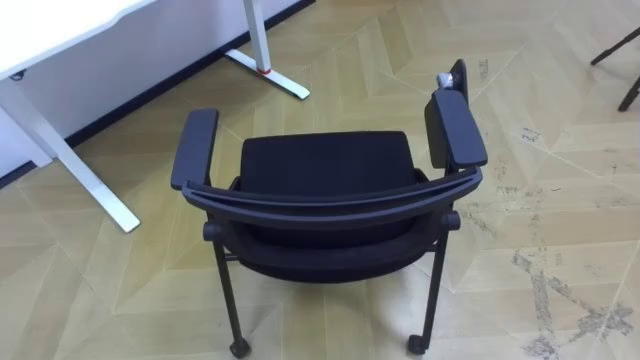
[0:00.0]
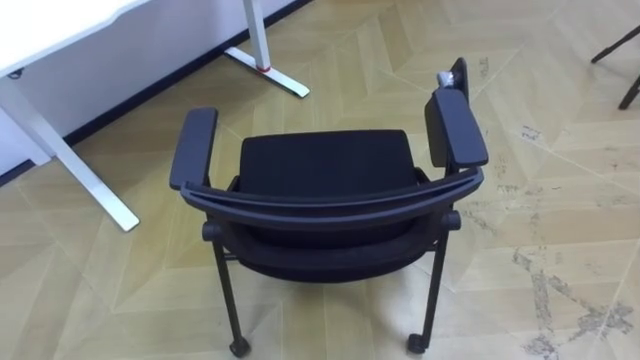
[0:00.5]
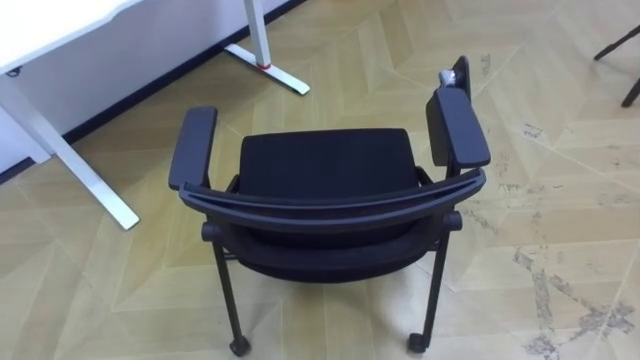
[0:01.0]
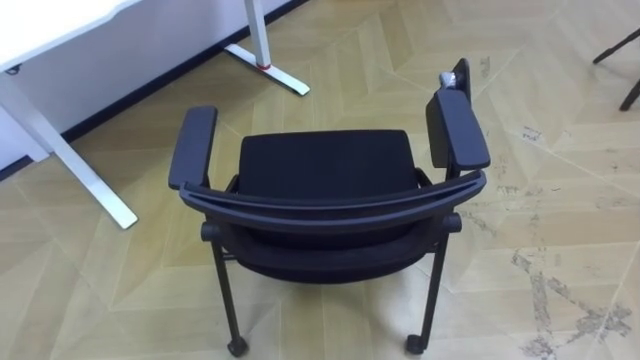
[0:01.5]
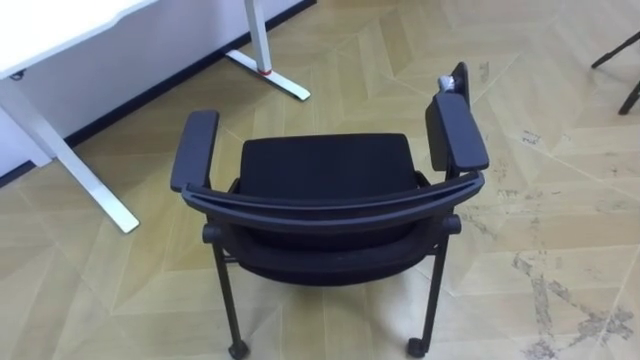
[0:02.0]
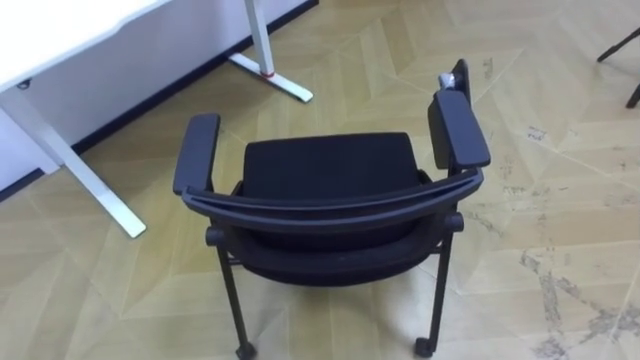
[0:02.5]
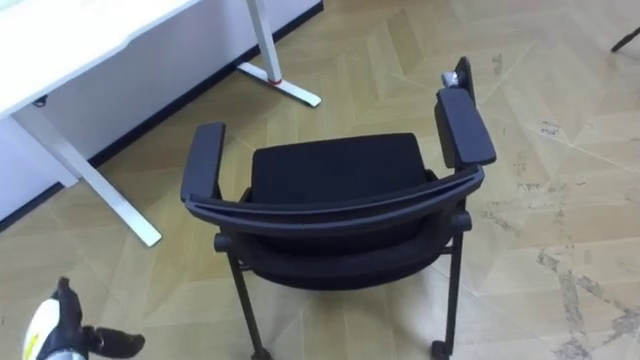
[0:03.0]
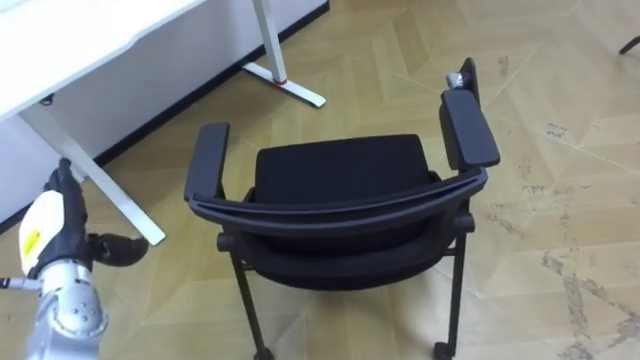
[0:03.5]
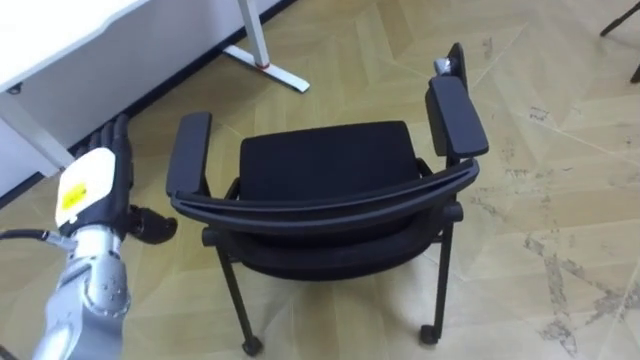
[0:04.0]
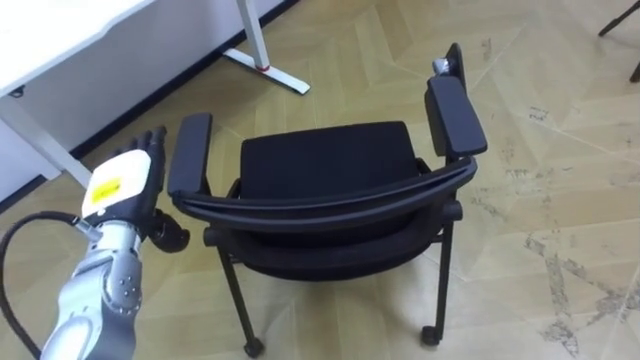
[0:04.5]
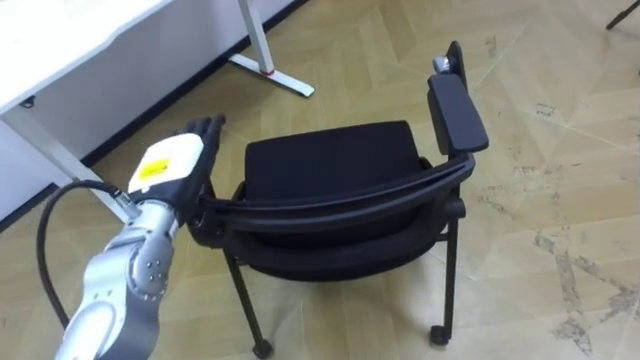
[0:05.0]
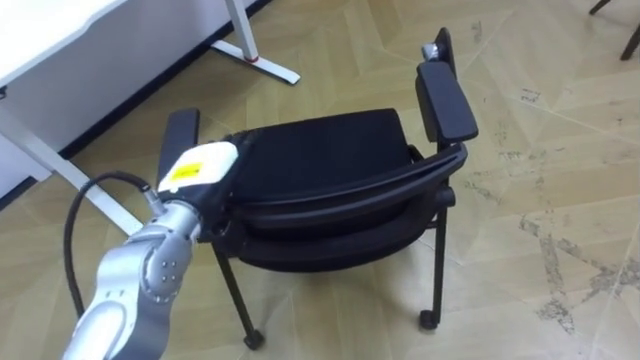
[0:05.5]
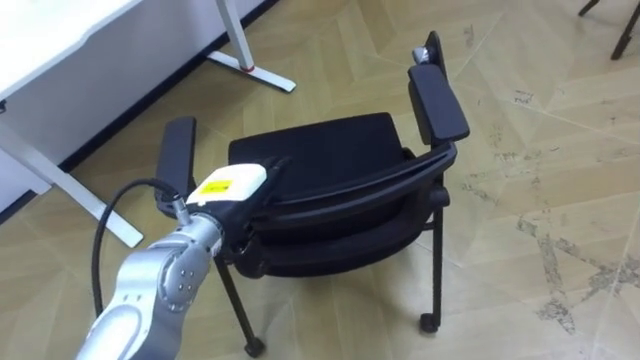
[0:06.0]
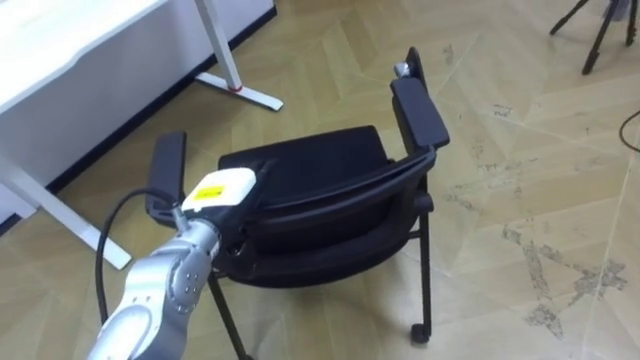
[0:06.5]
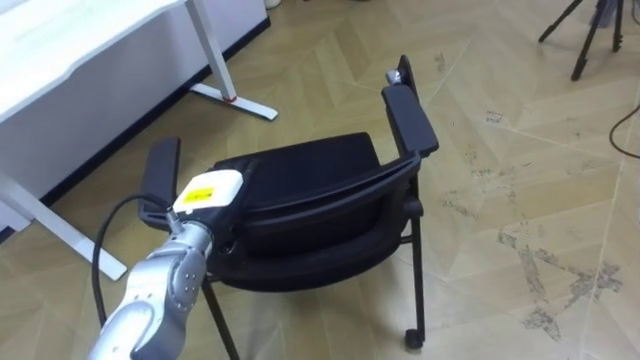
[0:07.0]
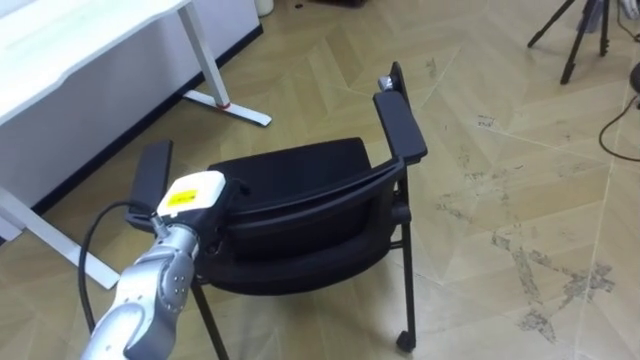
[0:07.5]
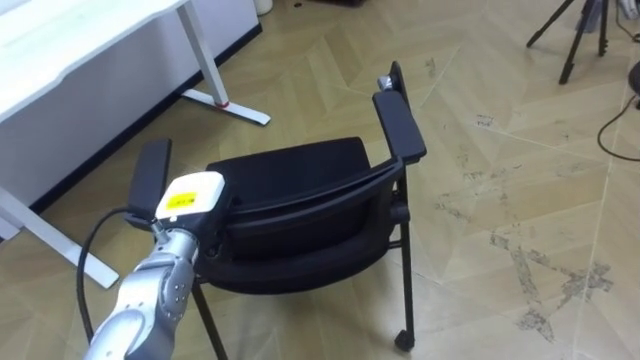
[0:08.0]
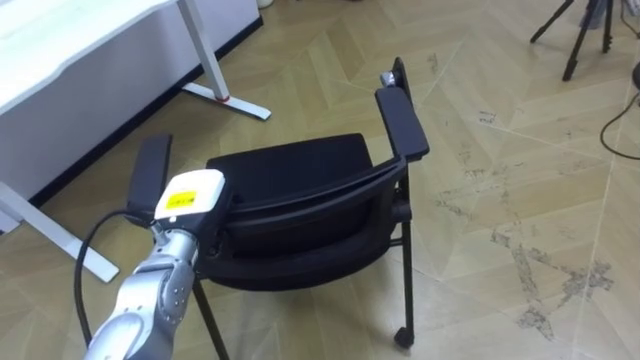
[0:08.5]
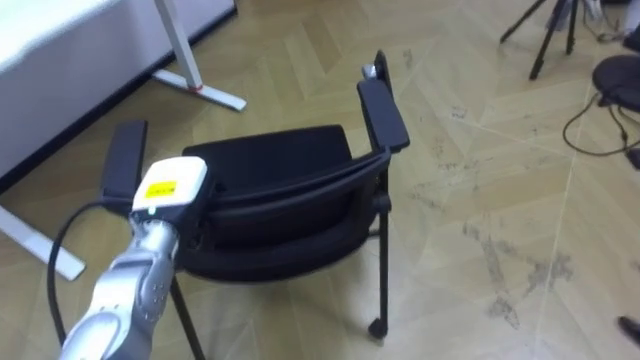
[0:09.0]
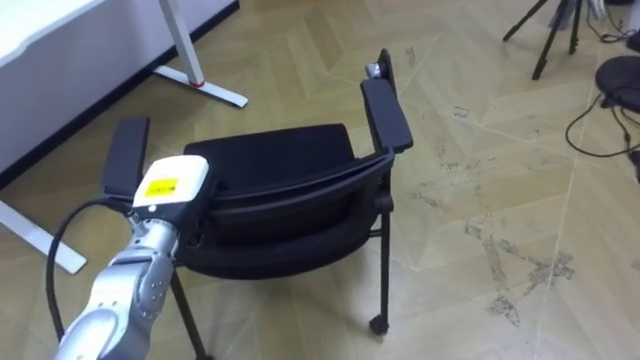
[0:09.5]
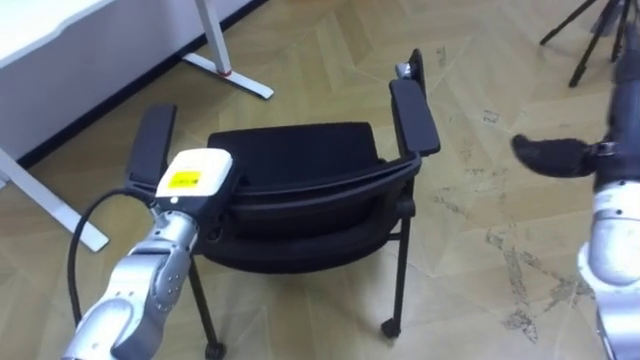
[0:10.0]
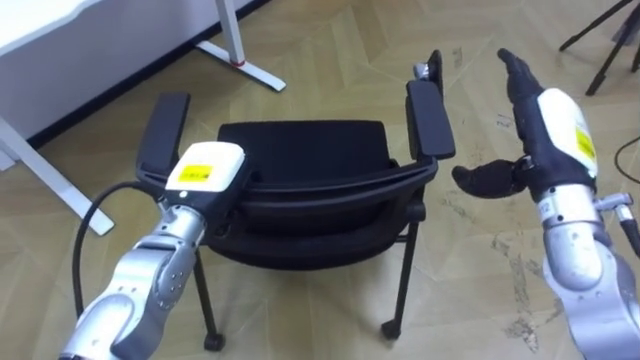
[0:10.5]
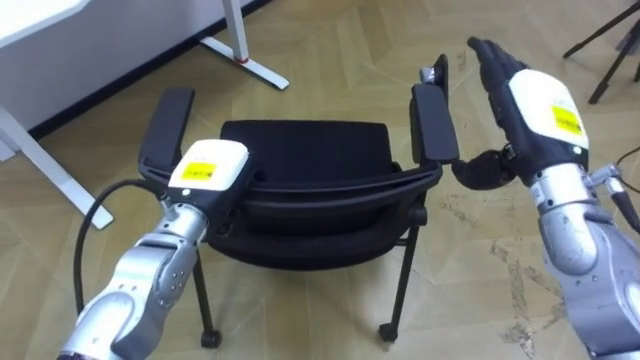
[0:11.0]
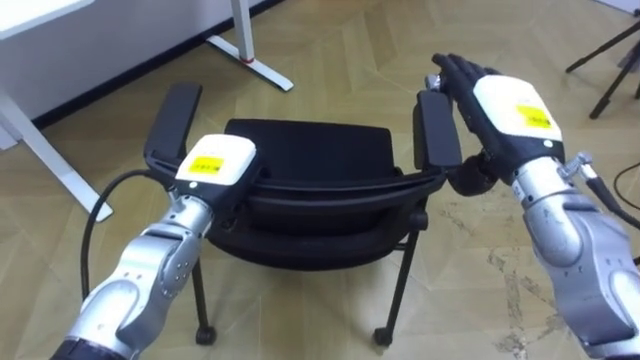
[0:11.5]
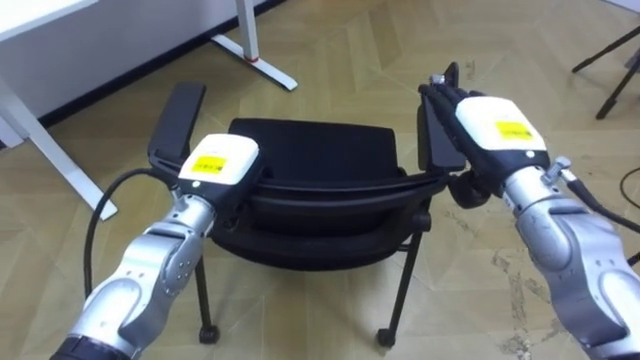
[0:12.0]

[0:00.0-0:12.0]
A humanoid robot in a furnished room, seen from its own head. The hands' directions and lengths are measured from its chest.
Task of the whole recording: Push the chair under the table.
0:04.0 to 0:06.0: The left hand heads to the right, covering roughly 15 cm.
0:06.0 to 0:08.0: The left hand goes approximately 10 cm to the left and downward, and closes its fingers.
0:10.0 to 0:12.0: The right hand is displaced to the left by some 10 cm.

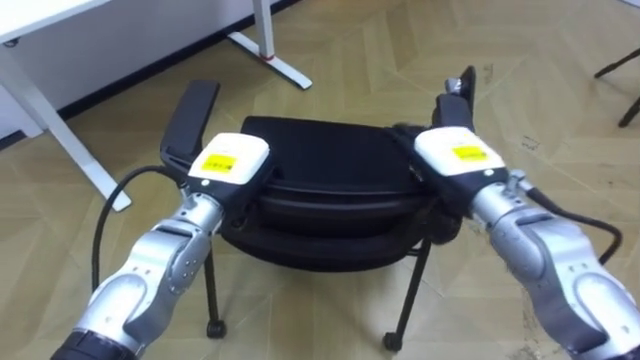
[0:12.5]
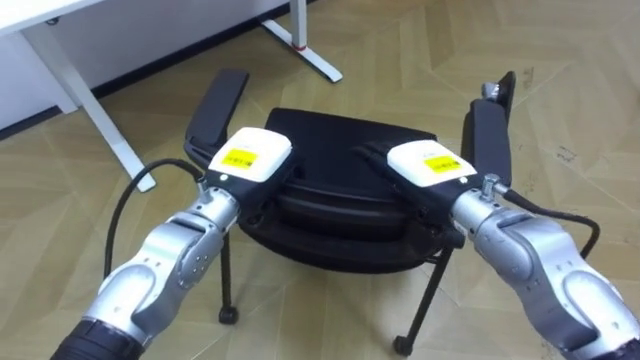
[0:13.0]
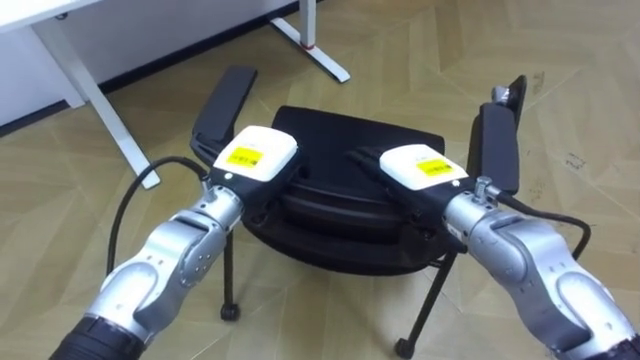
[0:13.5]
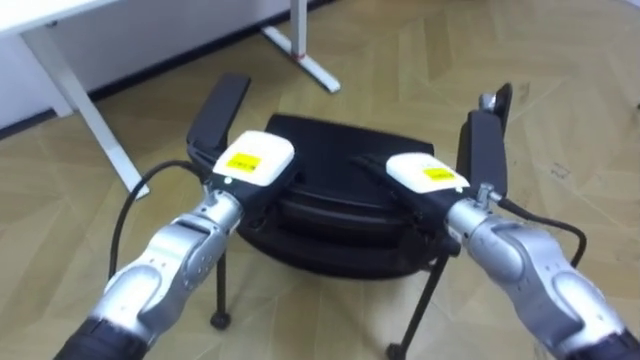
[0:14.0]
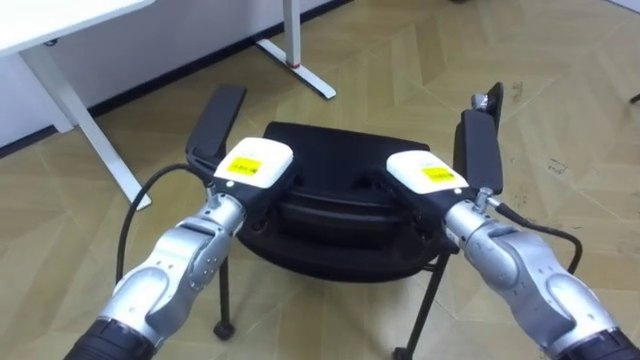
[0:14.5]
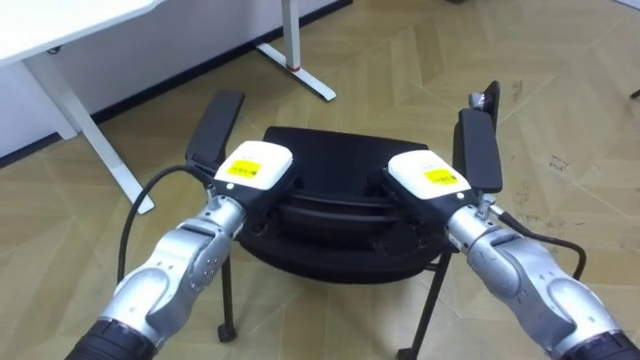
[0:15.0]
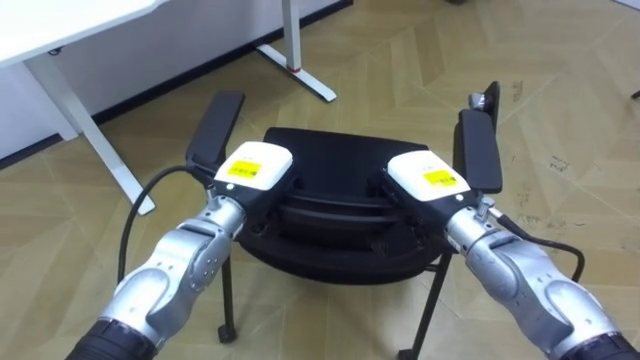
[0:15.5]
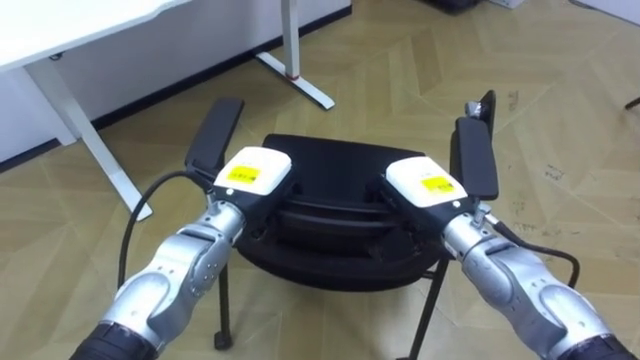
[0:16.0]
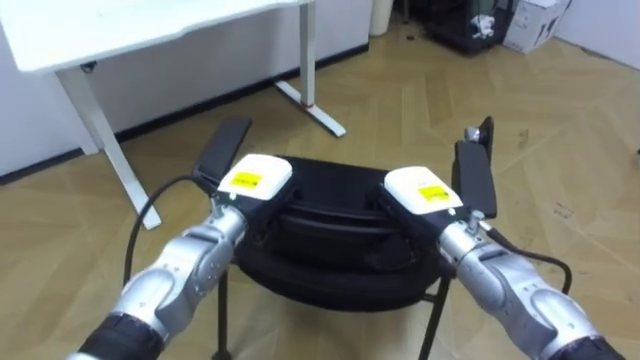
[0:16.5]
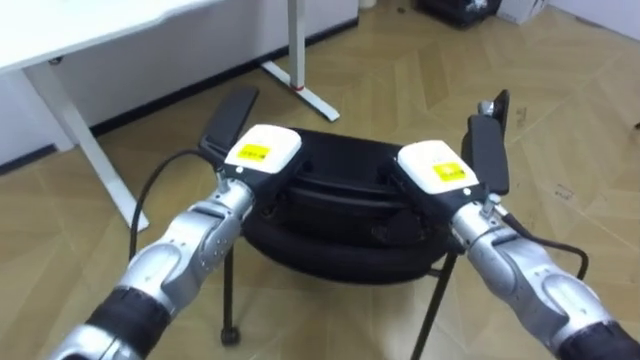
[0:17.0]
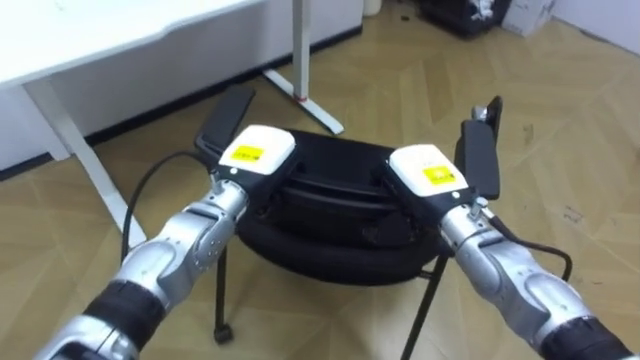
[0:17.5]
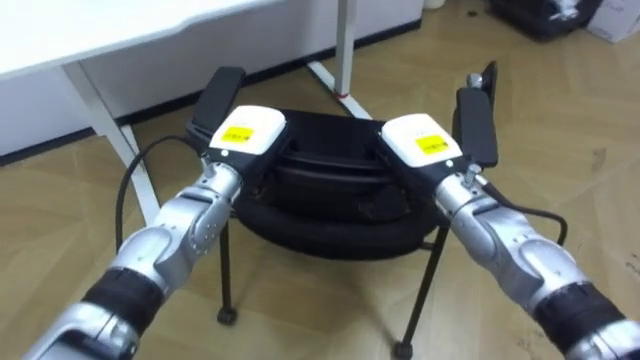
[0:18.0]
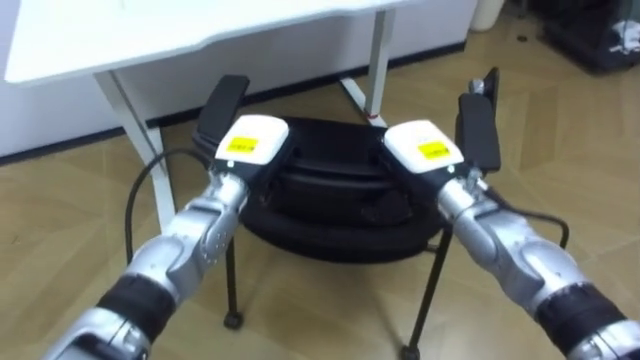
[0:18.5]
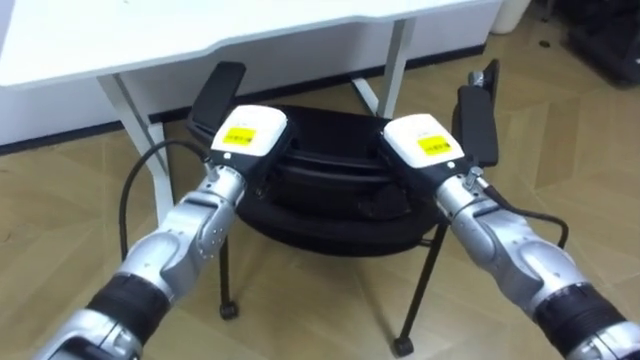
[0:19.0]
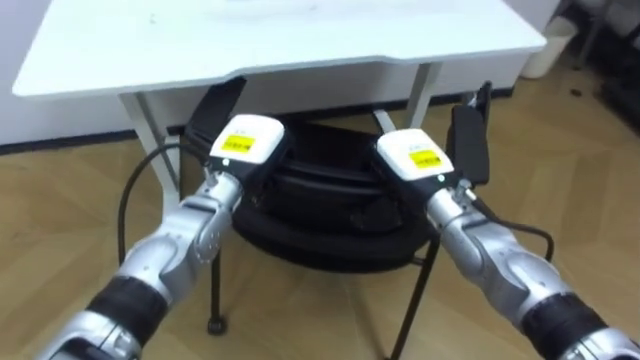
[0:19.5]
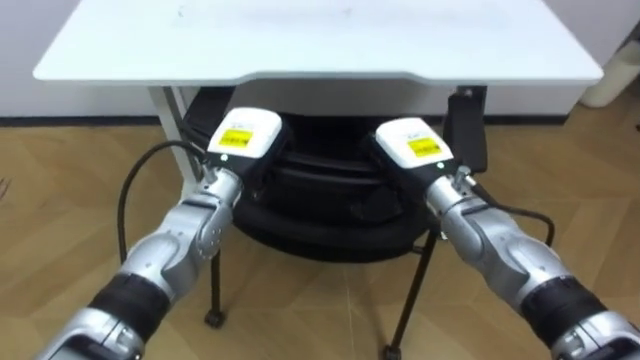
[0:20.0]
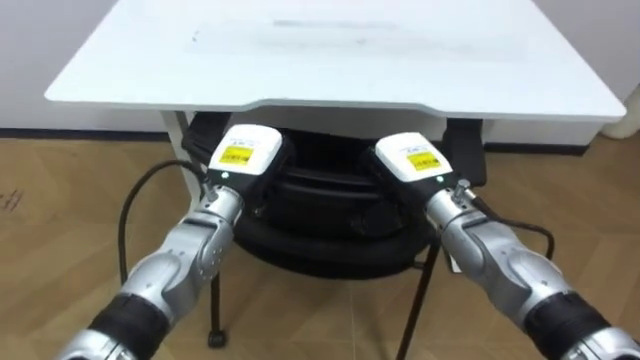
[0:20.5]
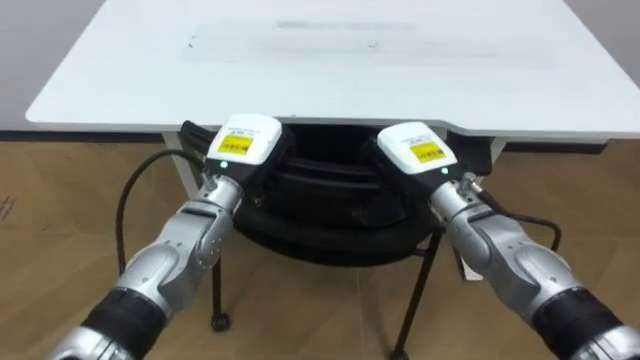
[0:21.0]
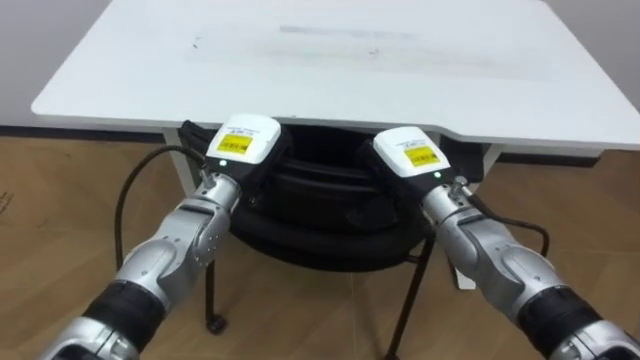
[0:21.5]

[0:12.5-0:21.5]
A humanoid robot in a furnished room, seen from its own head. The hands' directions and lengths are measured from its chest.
Task of the whole recording: Push the chair under the table.
0:12.5 to 0:14.5: The right hand changes place by roughly 5 cm, and closes up.
0:14.5 to 0:17.0: The right hand closes.
0:17.0 to 0:19.5: The robot faces roughly 25 degrees further to its left.
